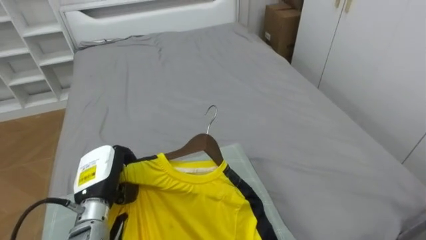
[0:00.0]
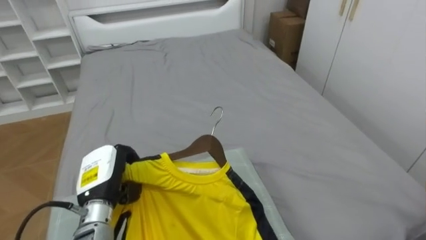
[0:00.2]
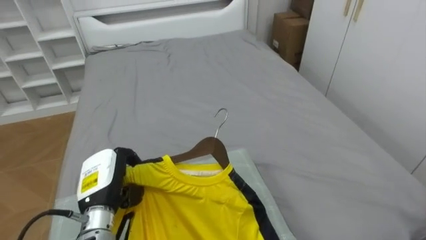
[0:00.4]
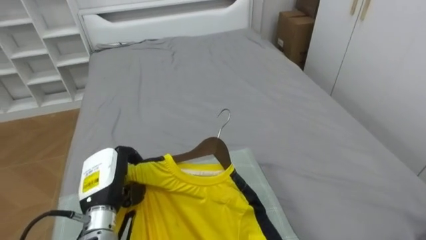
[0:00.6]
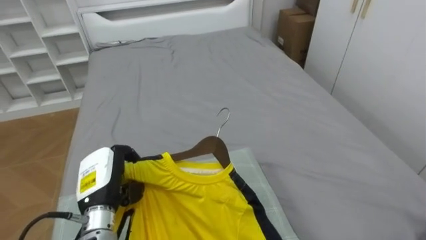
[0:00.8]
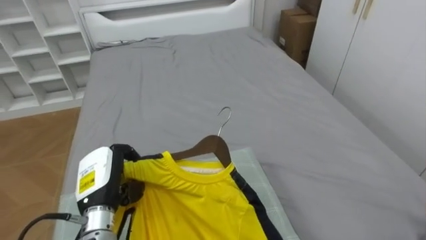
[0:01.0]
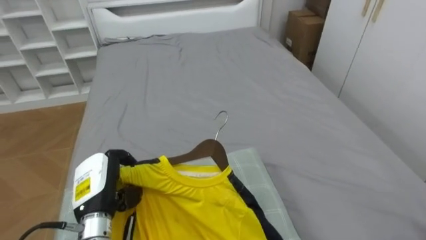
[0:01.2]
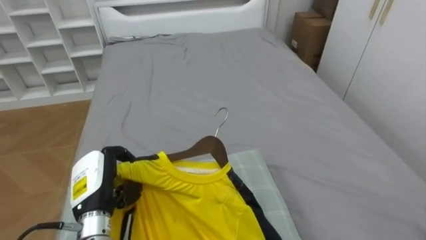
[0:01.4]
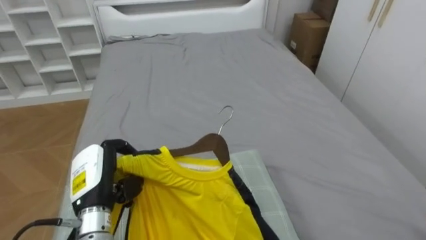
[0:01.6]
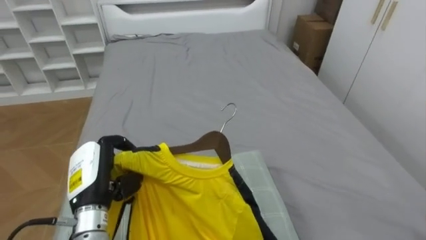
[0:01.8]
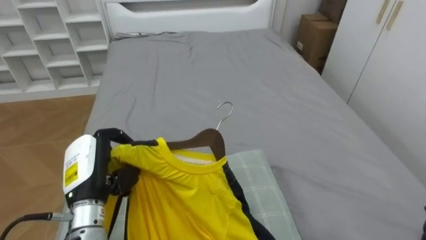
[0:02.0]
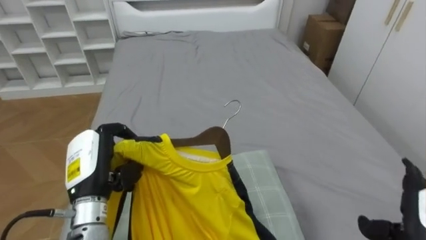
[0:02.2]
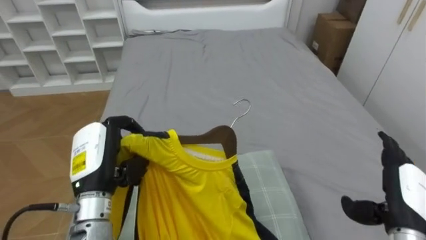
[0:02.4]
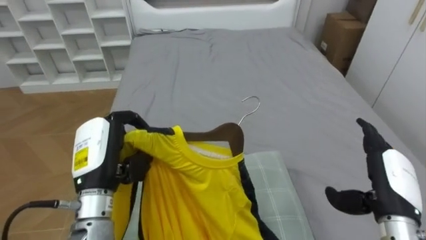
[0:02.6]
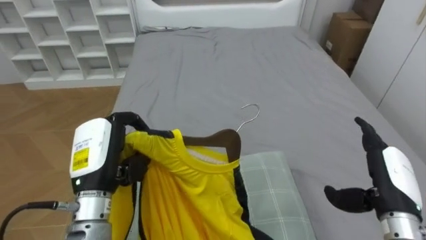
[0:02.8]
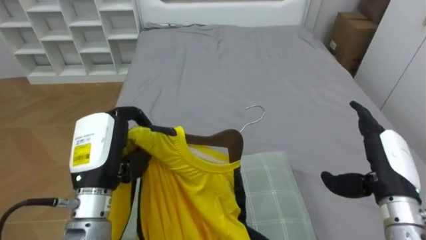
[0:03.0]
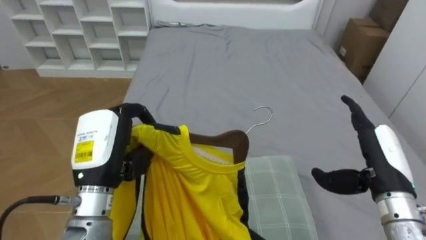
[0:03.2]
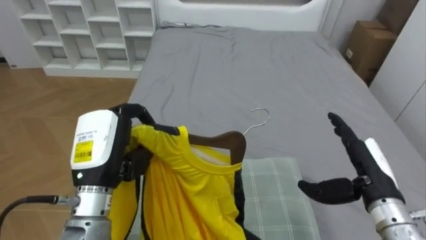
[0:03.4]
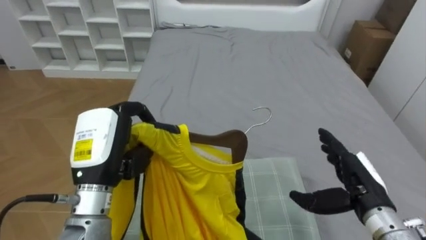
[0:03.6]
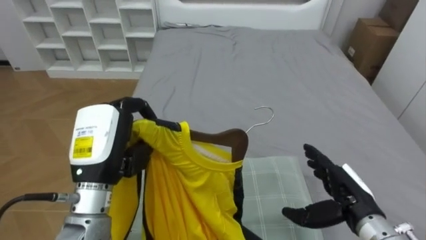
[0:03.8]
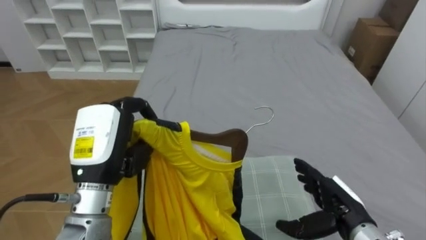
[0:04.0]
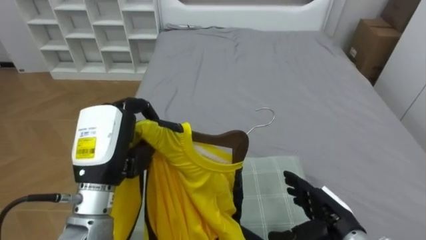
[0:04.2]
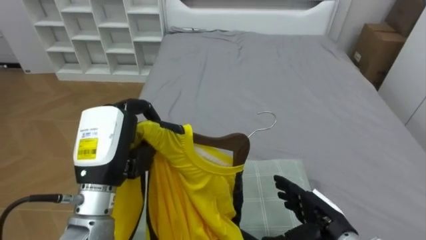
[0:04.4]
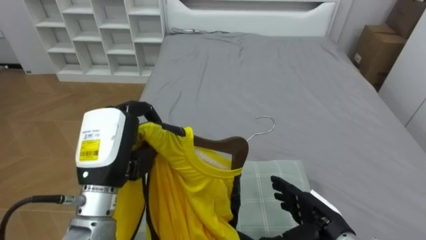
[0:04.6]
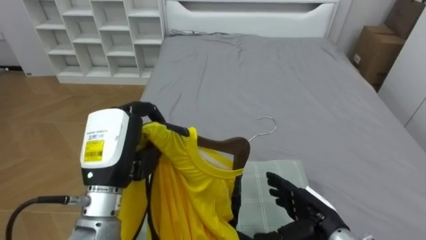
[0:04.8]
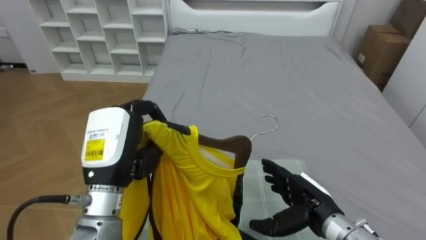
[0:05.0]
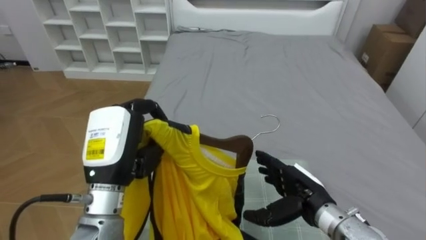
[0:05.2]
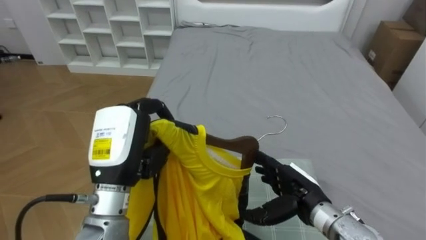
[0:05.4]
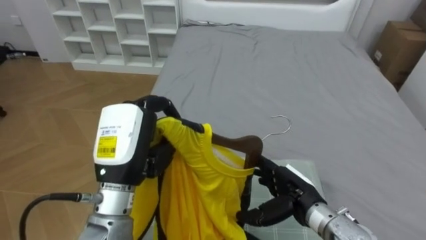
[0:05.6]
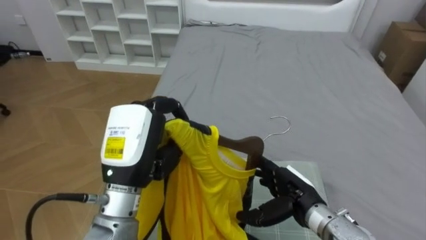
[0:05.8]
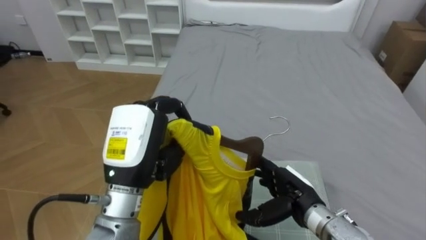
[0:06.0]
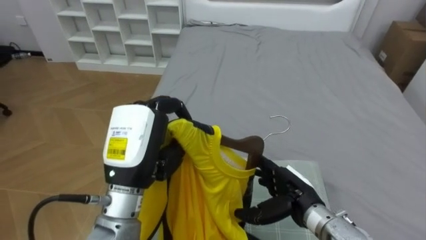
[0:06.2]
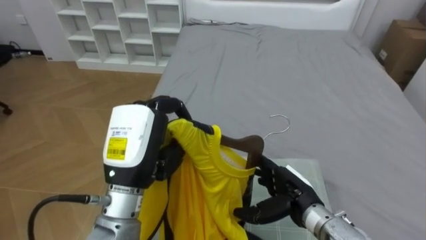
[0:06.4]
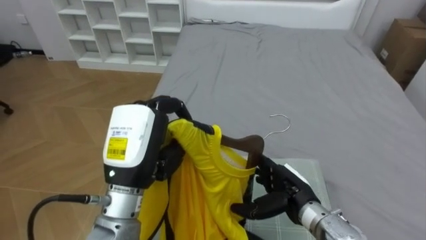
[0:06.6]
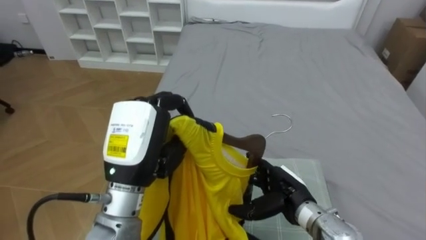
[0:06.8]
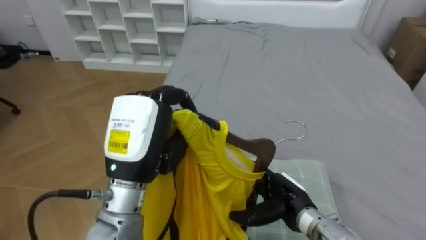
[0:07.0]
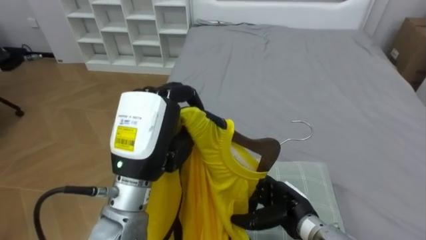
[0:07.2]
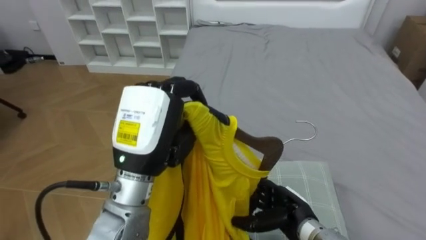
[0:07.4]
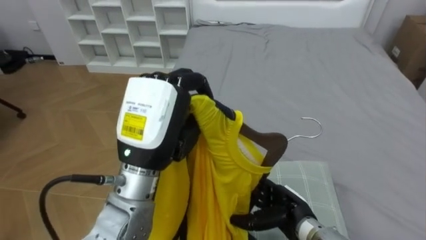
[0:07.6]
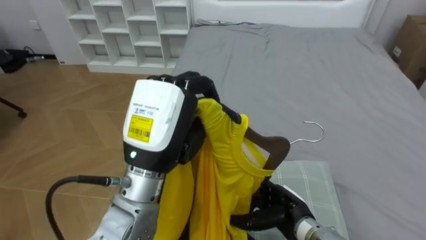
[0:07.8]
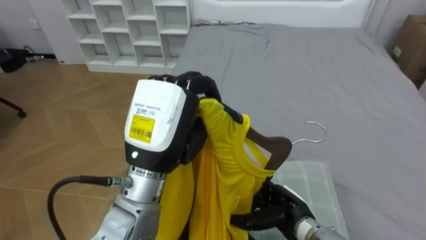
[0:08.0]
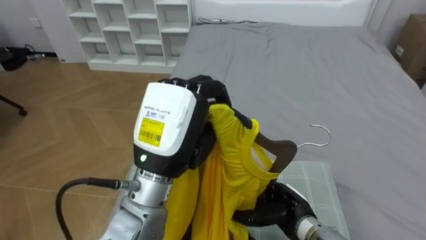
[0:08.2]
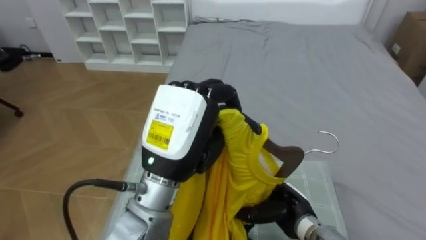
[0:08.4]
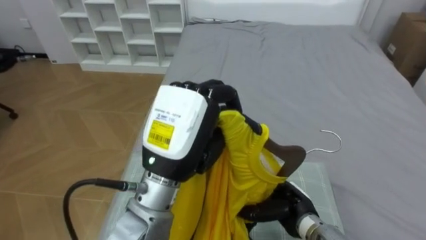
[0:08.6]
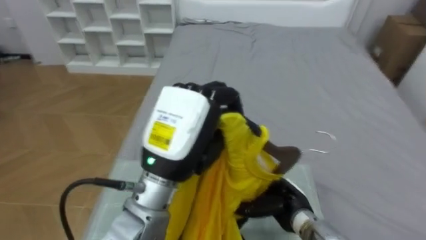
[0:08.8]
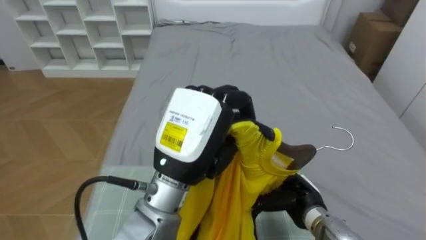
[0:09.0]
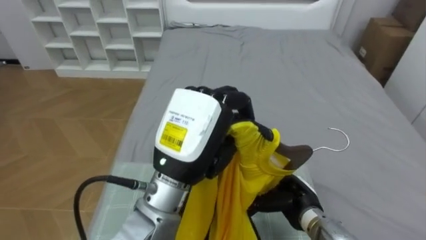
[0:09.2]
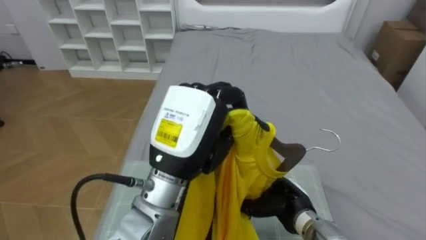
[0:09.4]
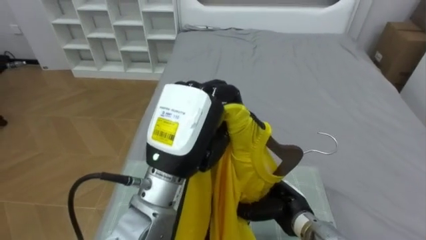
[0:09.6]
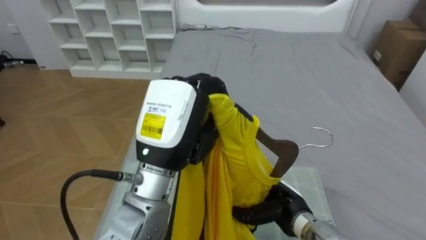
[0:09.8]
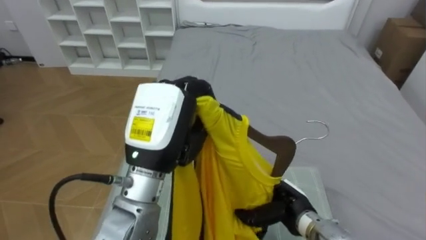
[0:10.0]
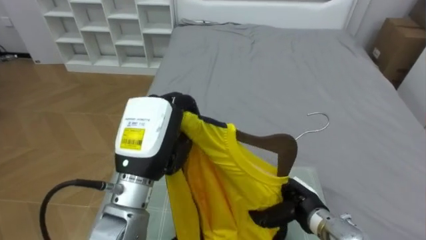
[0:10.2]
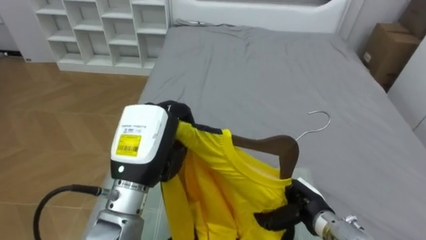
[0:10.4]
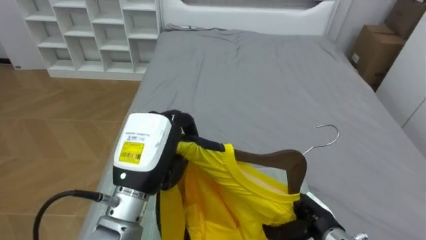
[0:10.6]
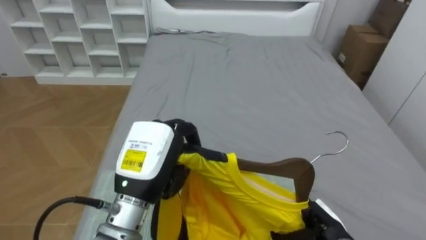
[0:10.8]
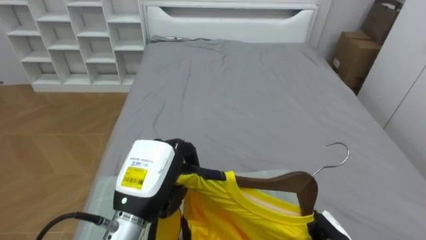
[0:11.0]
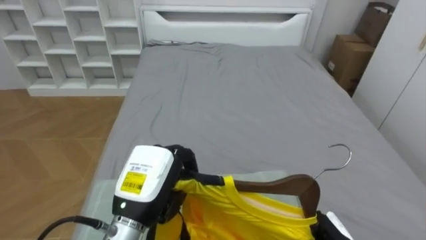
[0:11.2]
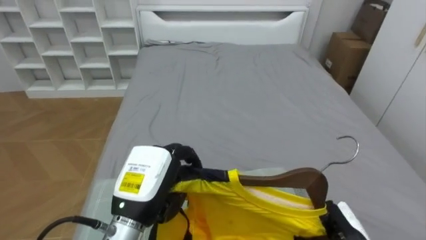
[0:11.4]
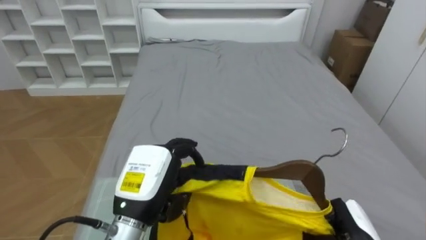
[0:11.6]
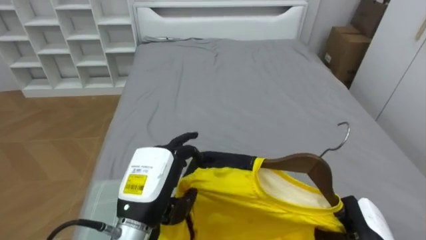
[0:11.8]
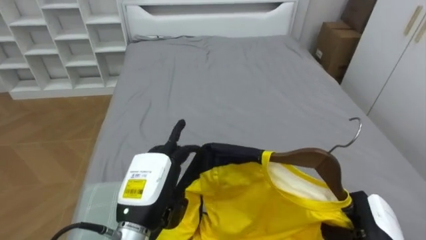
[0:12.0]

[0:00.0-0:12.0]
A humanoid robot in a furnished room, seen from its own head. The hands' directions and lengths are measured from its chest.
Task of the whole recording: Pick up the yellow shirt on the bed and hang it on the clothes rack on the right.
0:01.6 to 0:03.0: The left hand travels upward by some 10 cm.
0:03.0 to 0:04.4: The right hand travels downward and to the left by some 15 cm.
0:04.4 to 0:06.0: The right hand heads to the left, covering some 5 cm.
0:06.0 to 0:07.6: The left hand ends up some 5 cm from where it was. The right hand moves downward, about 5 cm.
0:07.6 to 0:09.0: The left hand heads to the right, covering approximately 5 cm.
0:09.0 to 0:10.4: The right hand closes, while the left hand travels to the left by approximately 5 cm.
0:10.4 to 0:12.0: The right hand shifts about 15 cm to the right and backward; the left hand moves downward, about 10 cm, and opens its fingers.

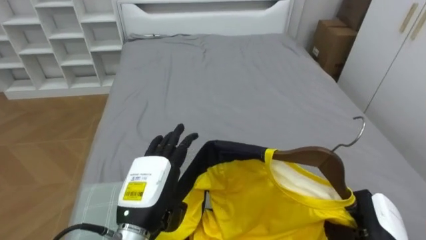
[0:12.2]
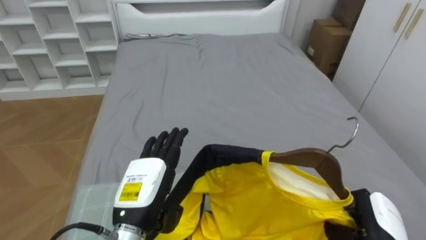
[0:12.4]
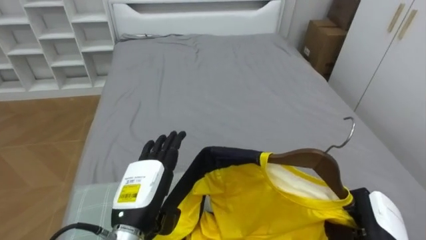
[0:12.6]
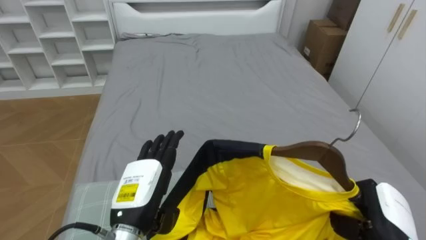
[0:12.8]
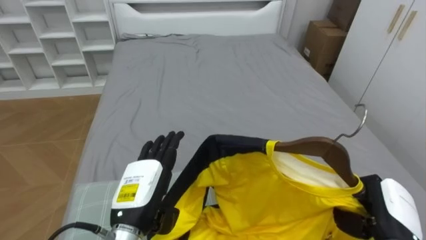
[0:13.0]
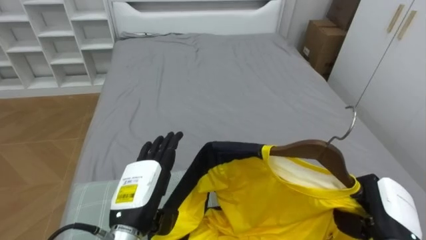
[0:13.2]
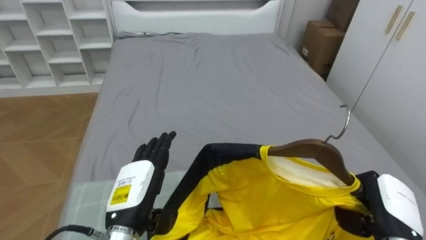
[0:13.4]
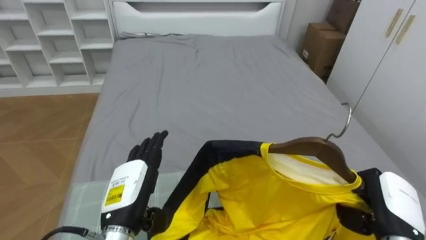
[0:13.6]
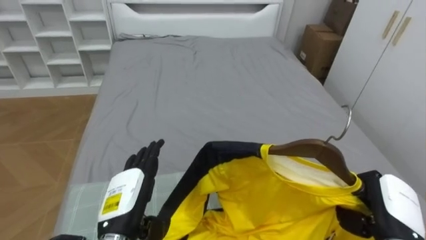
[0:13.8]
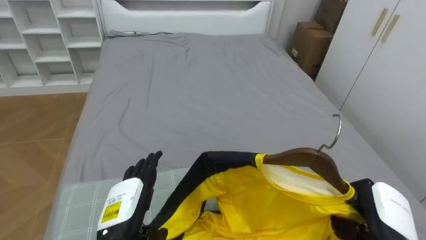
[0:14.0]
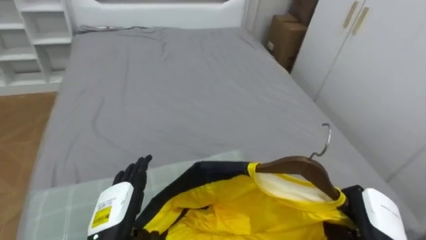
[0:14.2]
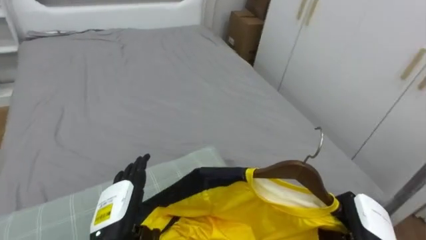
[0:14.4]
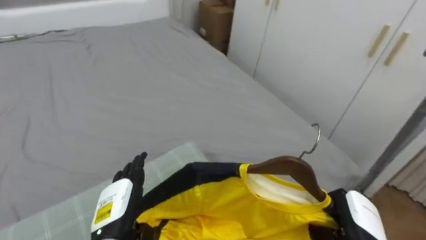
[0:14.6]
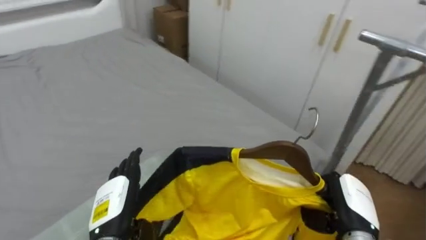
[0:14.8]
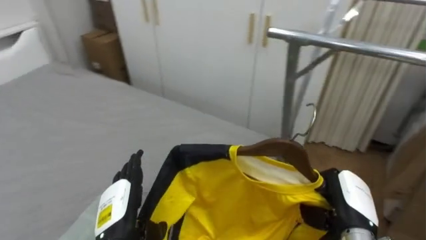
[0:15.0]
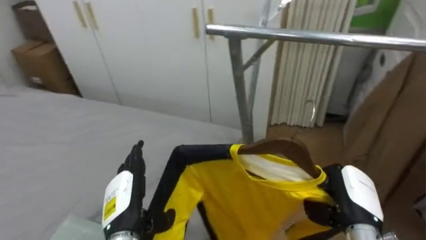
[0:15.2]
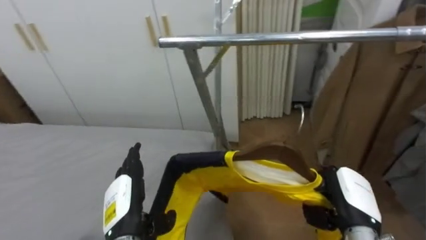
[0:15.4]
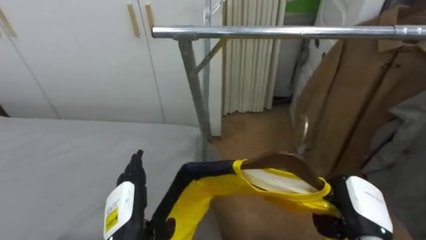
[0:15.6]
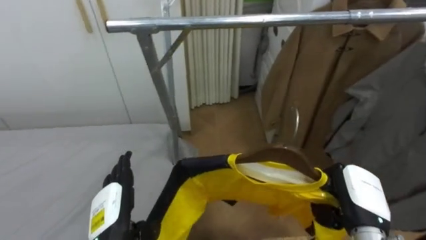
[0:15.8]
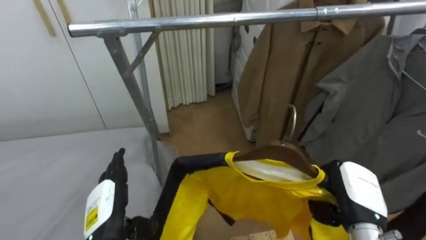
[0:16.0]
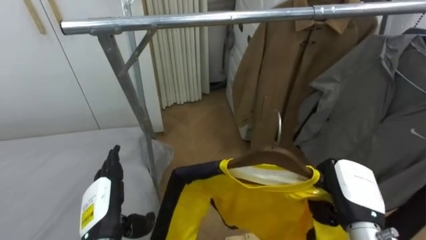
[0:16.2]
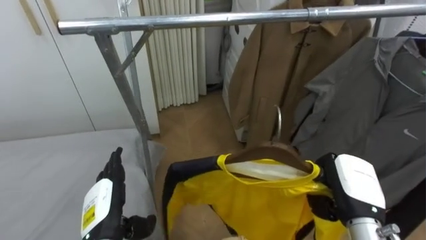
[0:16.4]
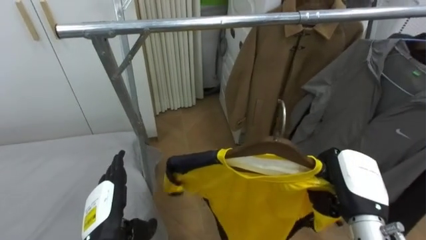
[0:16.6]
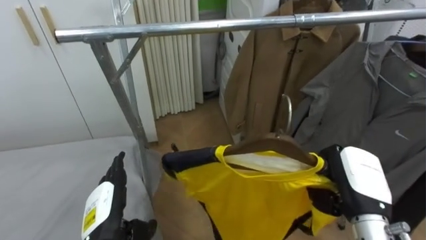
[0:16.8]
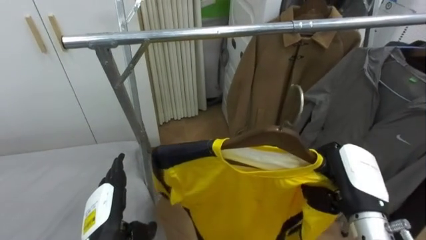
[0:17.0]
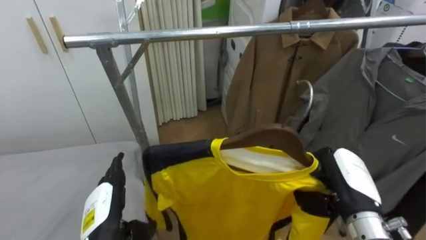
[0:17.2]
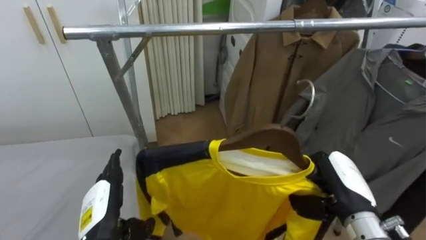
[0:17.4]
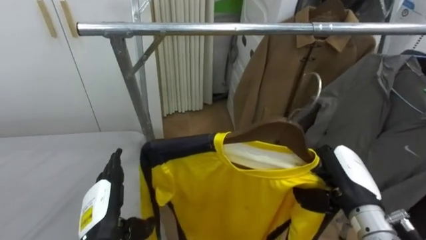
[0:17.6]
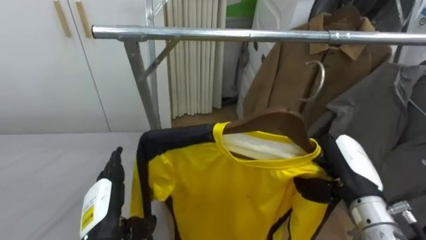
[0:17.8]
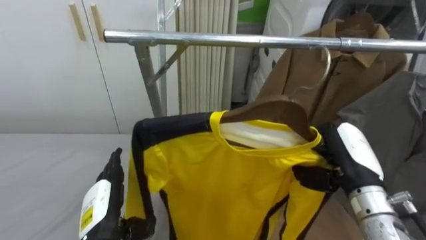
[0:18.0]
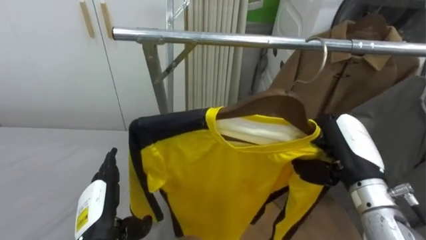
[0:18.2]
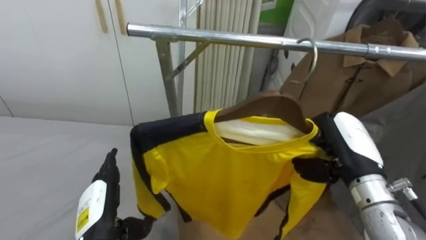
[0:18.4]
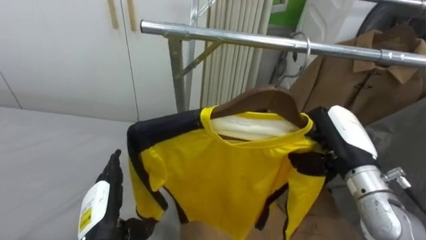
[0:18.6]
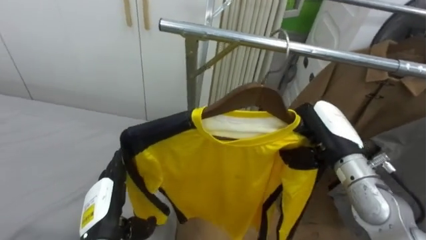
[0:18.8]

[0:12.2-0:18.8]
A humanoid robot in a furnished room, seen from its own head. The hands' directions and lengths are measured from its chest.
Task of the whole recording: Pick up the yellow shirt on the bed and hang it on the clothes rack on the right.
0:13.8 to 0:15.4: The robot turns to its right by roughly 75 degrees. The right hand is displaced to the left by approximately 5 cm.
0:15.4 to 0:17.2: The robot turns to its right by approximately 25 degrees. The right hand goes some 5 cm upward.
0:17.2 to 0:18.8: The right hand is displaced forward and upward by roughly 10 cm.
